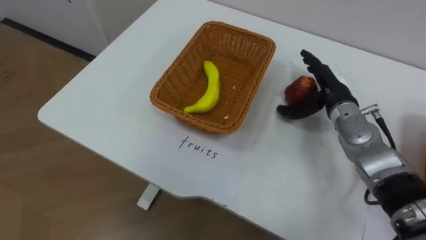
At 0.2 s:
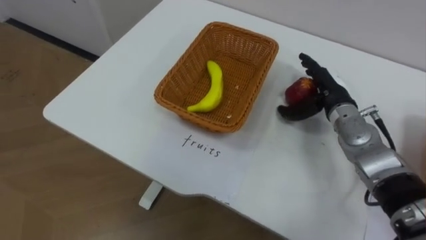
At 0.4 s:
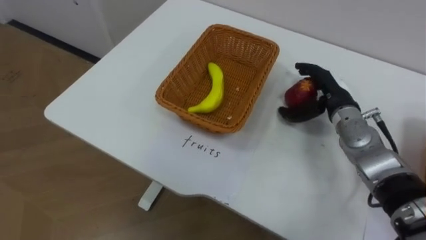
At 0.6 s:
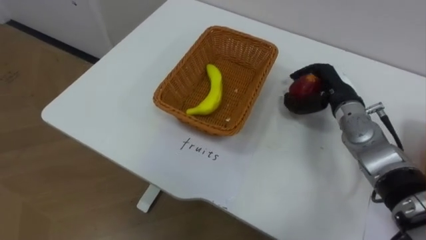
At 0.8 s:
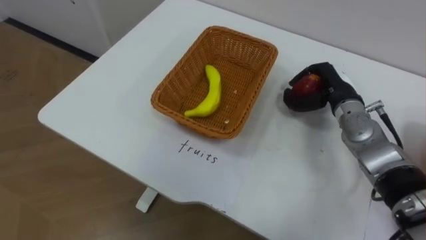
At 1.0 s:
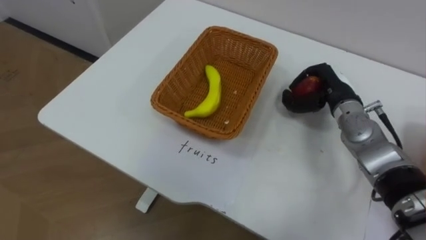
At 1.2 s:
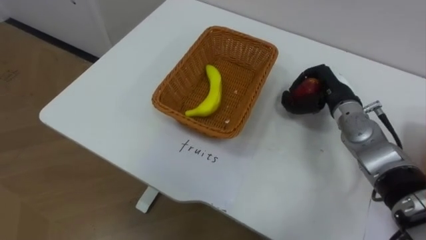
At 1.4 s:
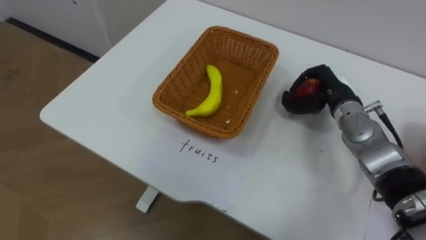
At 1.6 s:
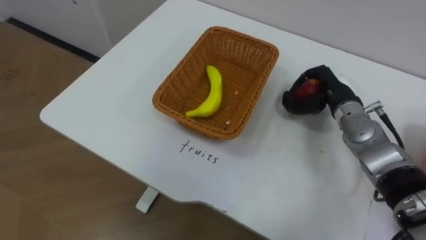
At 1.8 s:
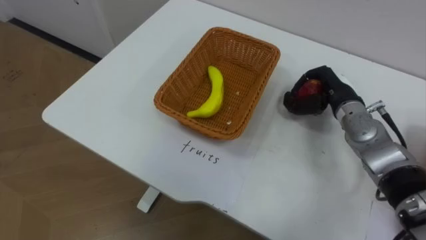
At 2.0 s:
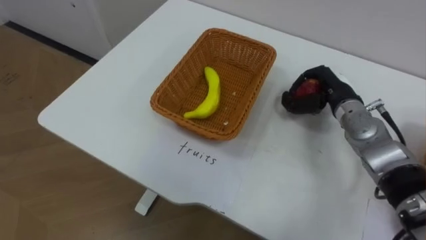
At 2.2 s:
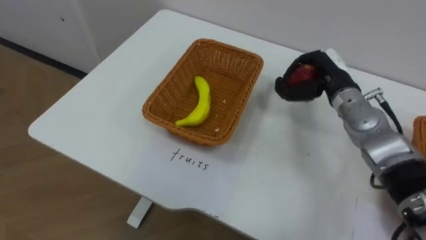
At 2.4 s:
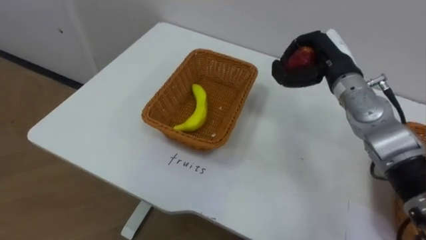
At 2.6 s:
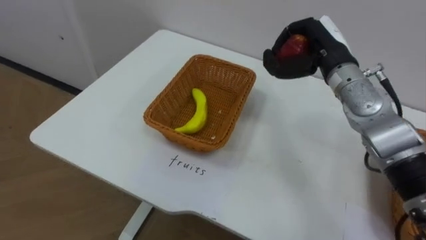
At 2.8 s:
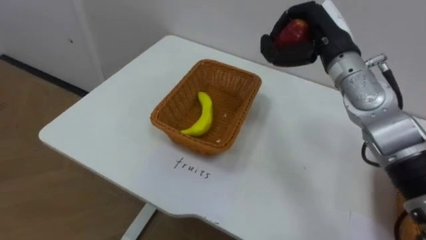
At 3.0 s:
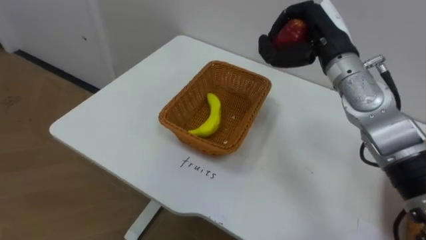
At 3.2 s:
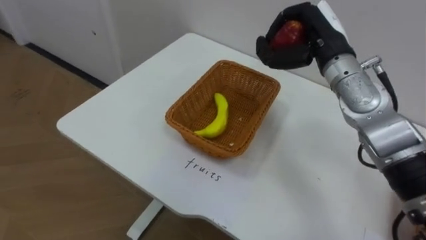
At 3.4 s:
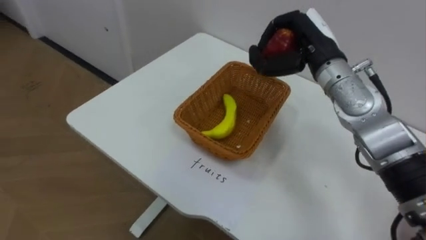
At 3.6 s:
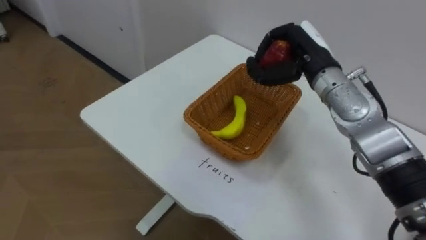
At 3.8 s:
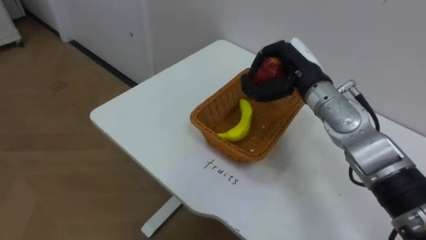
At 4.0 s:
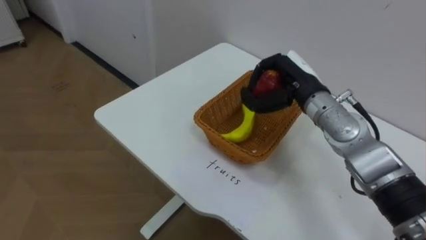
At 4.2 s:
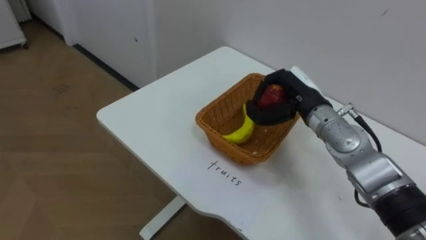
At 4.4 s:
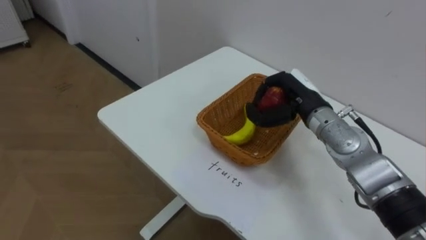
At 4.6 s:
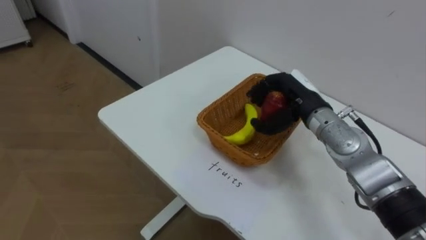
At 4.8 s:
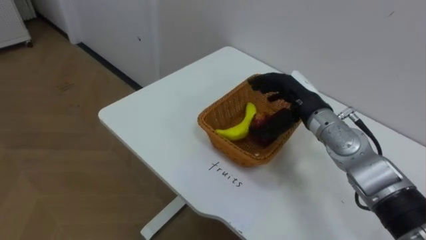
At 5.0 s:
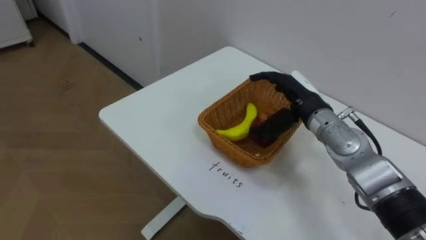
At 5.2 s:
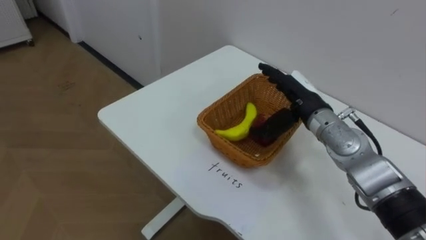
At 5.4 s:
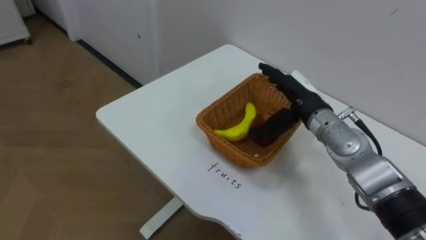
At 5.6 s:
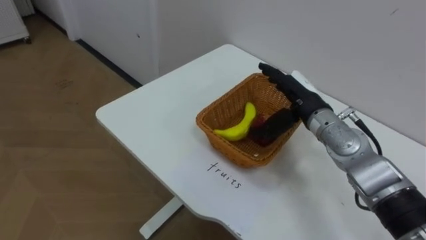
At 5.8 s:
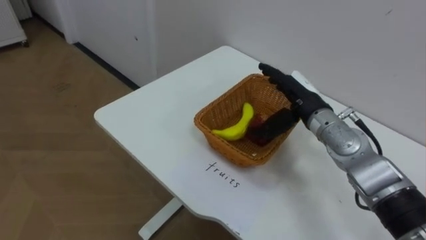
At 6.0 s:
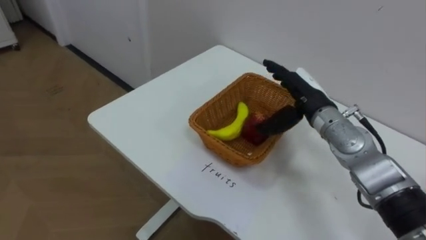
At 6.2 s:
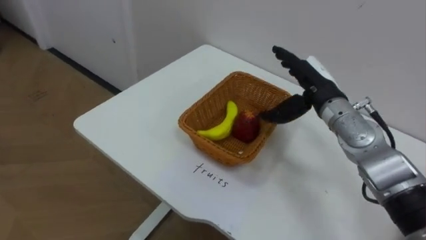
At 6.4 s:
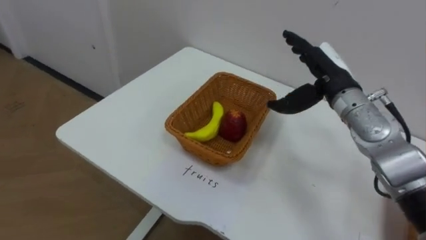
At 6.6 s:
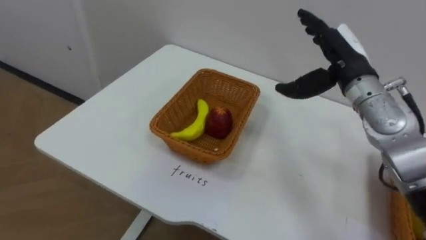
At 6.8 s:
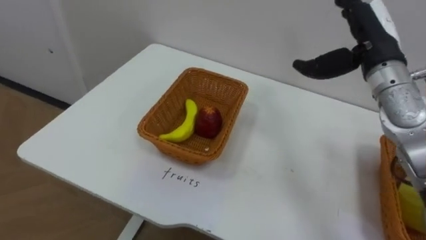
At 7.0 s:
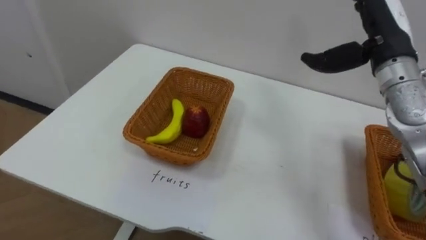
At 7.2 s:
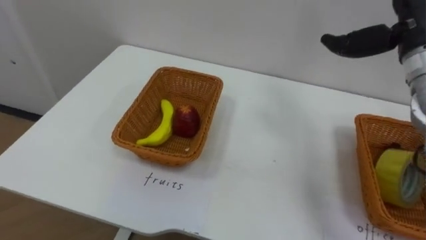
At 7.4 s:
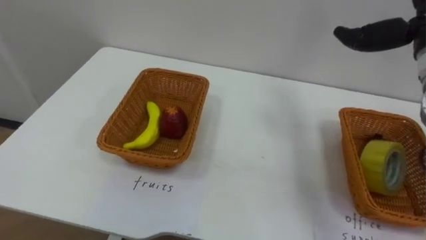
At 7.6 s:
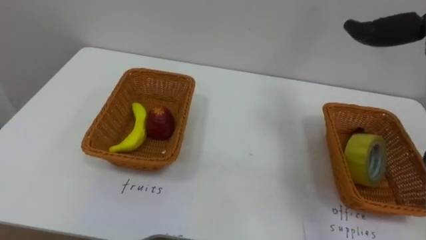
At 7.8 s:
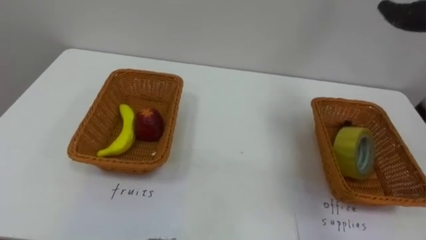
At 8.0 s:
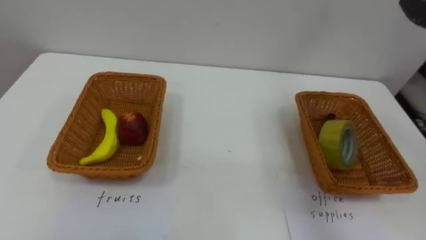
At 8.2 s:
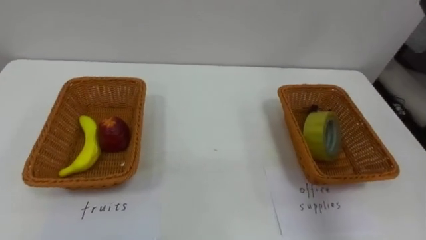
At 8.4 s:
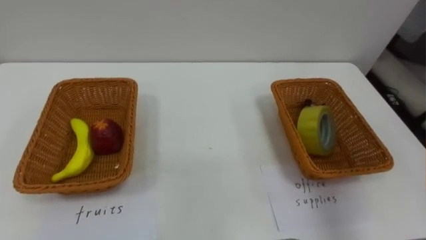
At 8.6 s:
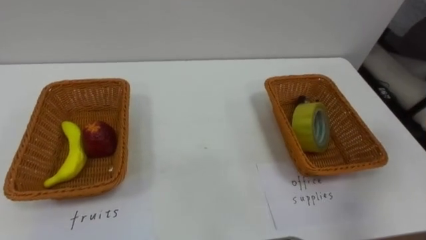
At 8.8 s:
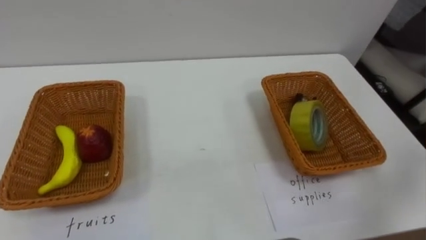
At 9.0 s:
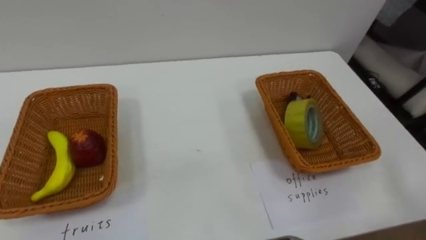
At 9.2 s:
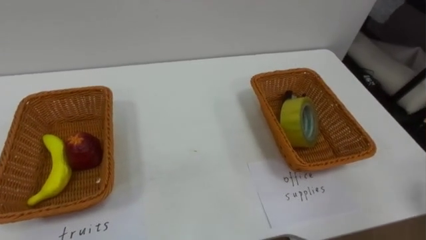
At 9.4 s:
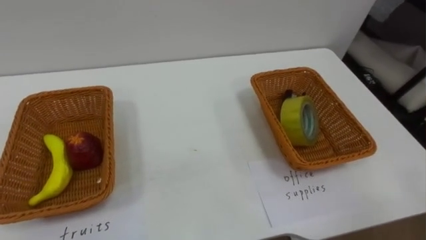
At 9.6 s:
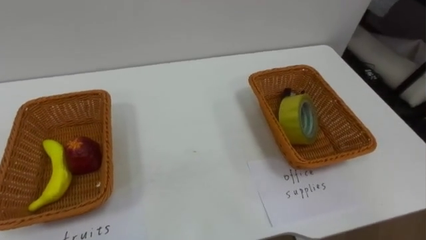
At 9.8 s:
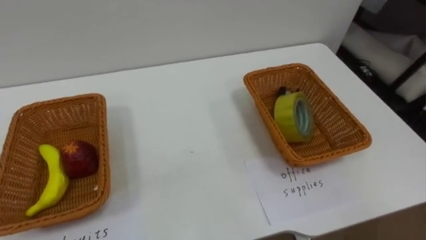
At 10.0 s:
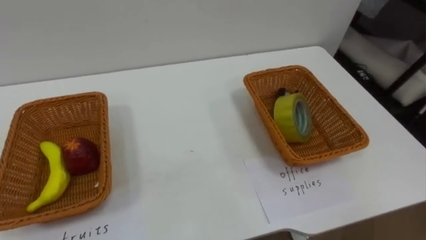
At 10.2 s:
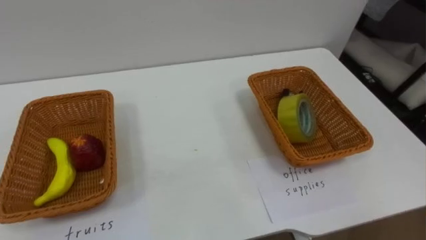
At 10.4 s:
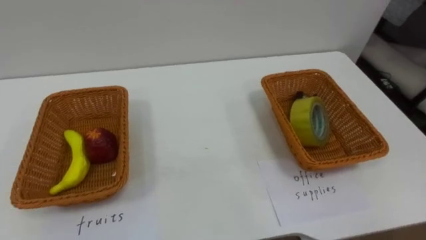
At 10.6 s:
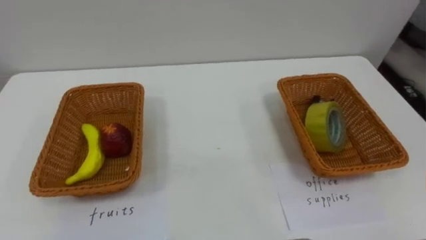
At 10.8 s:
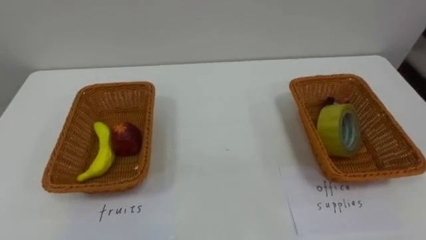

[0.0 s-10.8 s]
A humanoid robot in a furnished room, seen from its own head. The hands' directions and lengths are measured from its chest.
Task of the whole recording: Separate the items on the table and place them into the two baskets.
0.0 to 1.6 s: The right hand closes its fingers.
1.6 to 3.0 s: The right hand is displaced upward and to the left by approximately 15 cm.
3.0 to 4.6 s: The right hand shifts about 10 cm downward.
4.6 to 6.2 s: The right hand opens its fingers.

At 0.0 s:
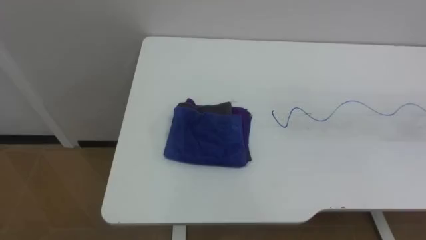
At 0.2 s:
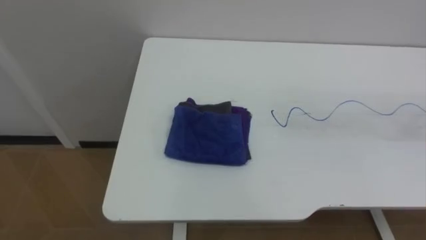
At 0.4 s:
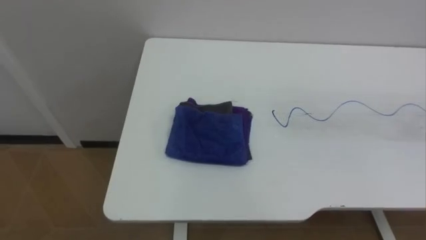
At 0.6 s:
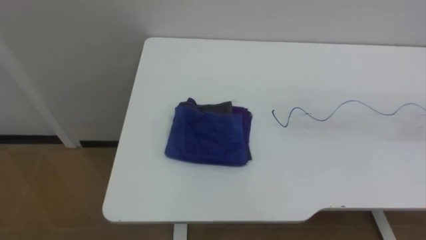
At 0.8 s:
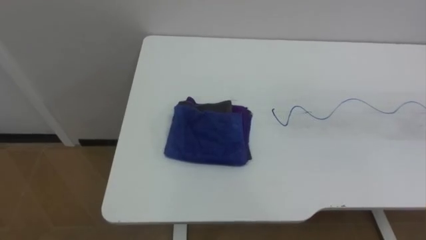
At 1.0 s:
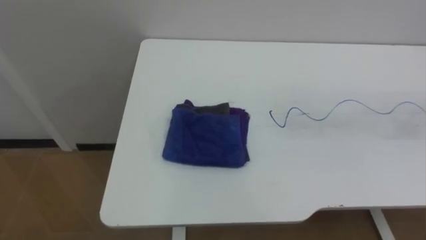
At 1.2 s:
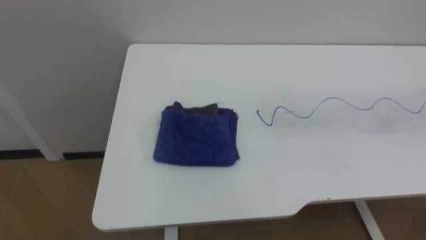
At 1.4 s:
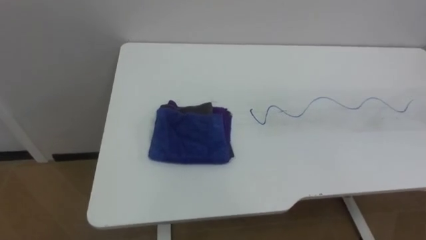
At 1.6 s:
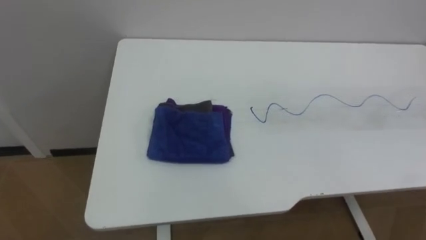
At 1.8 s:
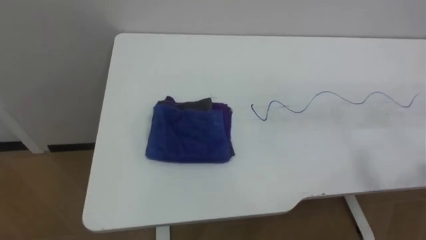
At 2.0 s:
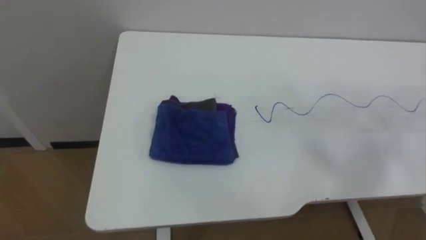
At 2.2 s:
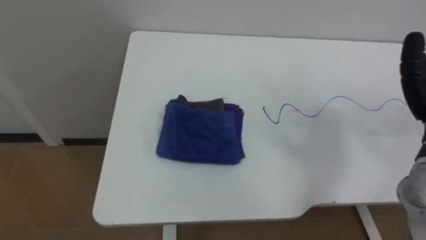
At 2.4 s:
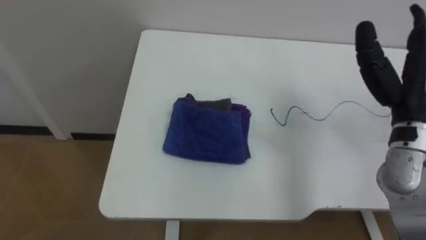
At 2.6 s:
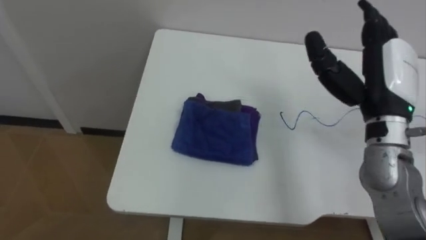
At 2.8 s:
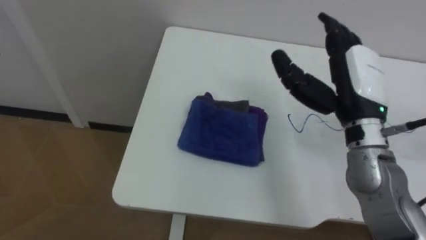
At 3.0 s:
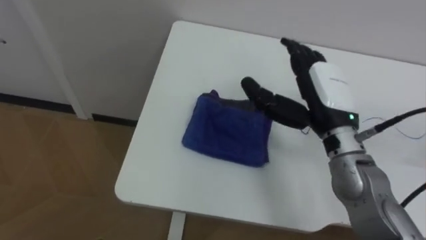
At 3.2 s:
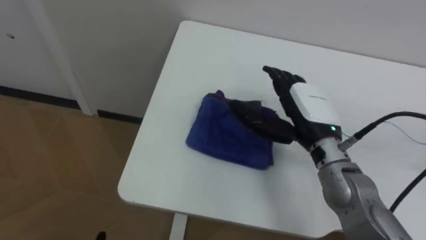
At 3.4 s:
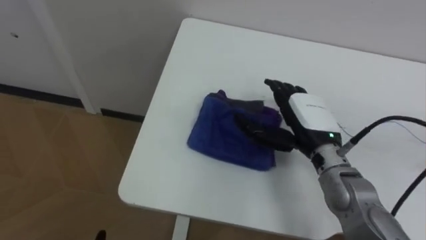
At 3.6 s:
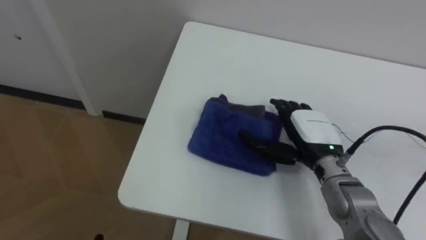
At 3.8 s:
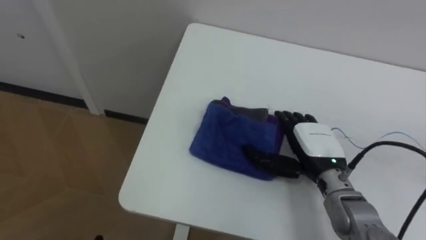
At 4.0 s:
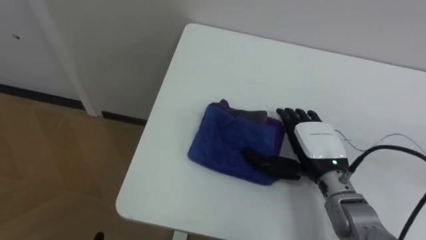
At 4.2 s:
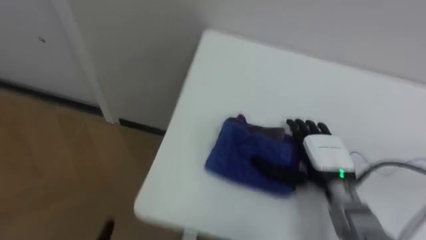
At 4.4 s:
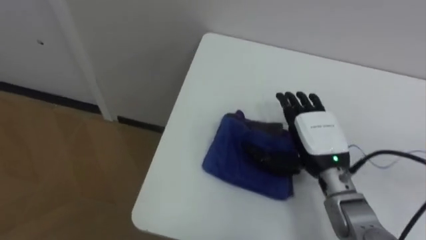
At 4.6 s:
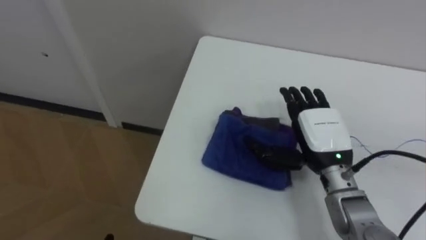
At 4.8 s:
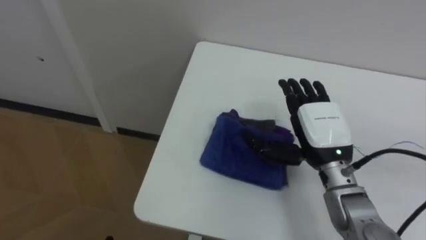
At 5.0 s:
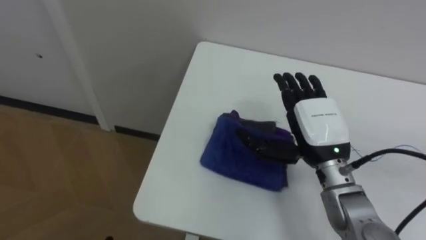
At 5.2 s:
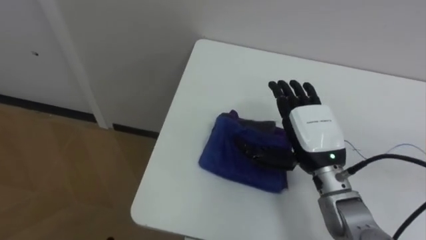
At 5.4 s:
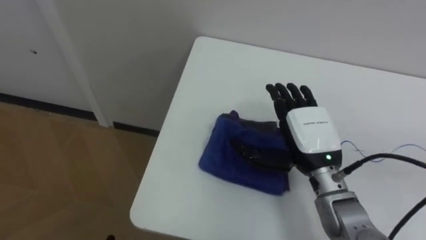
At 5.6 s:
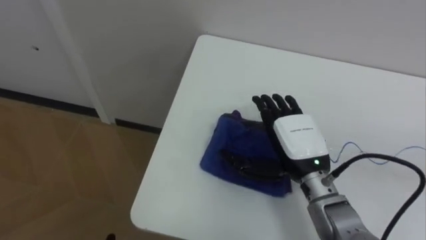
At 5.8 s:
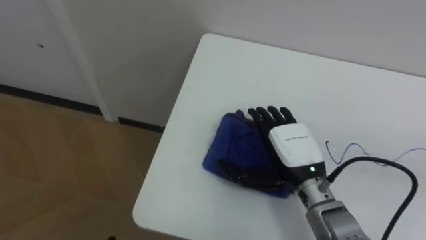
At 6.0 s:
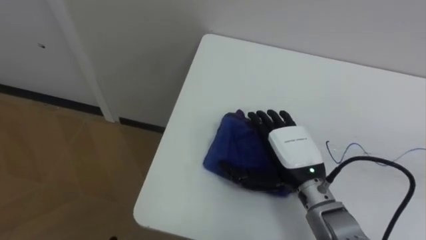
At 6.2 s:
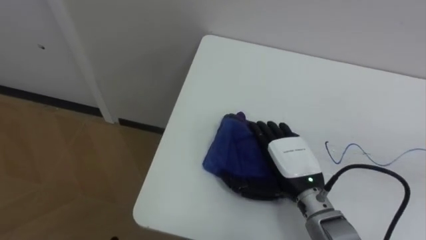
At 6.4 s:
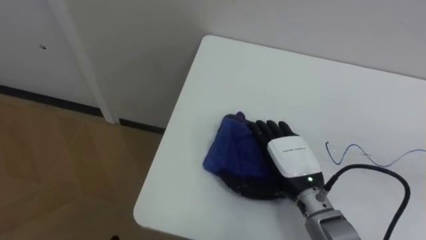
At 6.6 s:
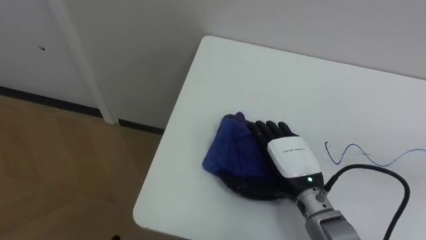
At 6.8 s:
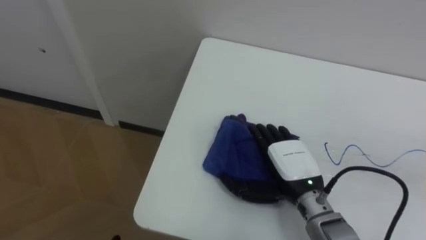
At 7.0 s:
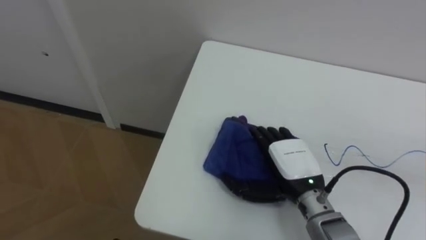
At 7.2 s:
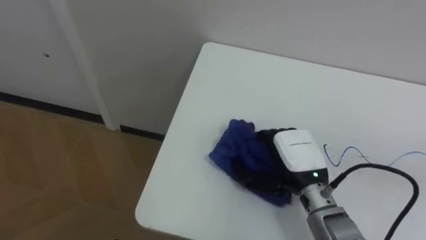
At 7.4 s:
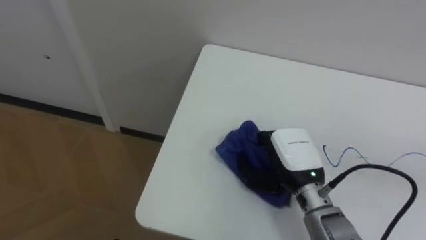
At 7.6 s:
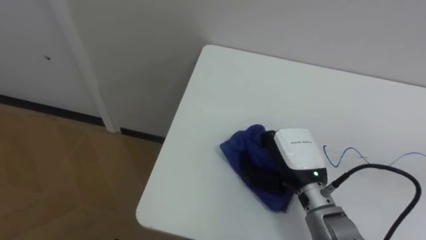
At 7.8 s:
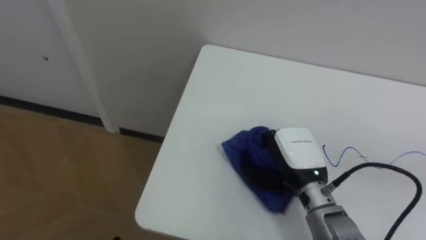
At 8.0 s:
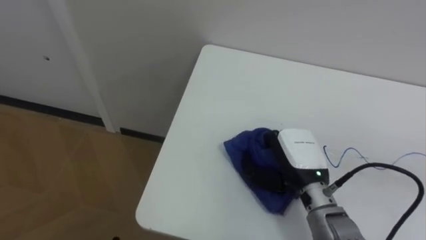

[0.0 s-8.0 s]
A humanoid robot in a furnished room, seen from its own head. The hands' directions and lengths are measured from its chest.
Task of the whole recording: Wipe the blue pen marks off the table with the rag.
3.2 to 4.8 s: The right hand reaches some 10 cm downward, then returns.
4.8 to 6.4 s: The right hand goes about 5 cm downward.
6.4 to 8.0 s: The right hand closes up.
